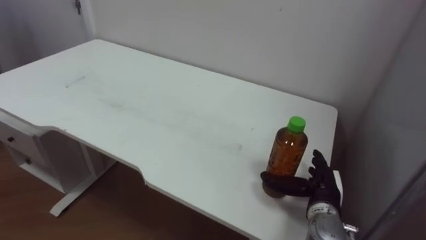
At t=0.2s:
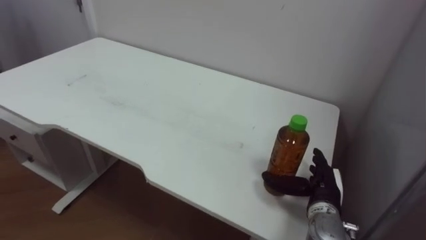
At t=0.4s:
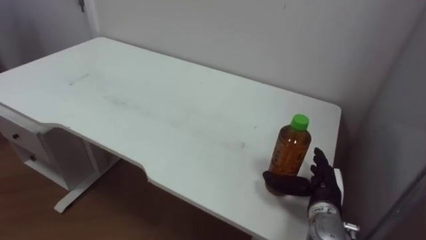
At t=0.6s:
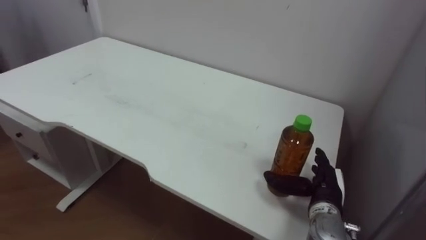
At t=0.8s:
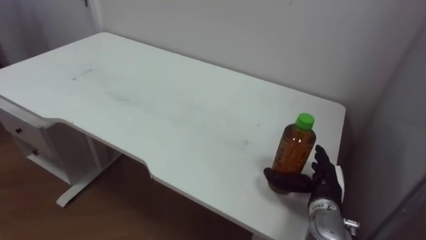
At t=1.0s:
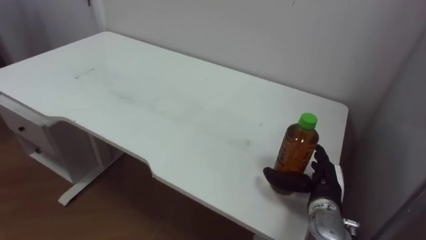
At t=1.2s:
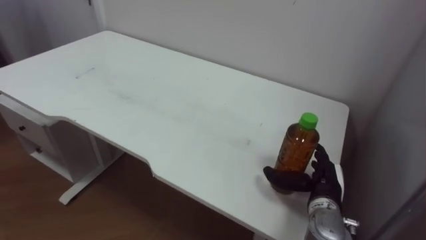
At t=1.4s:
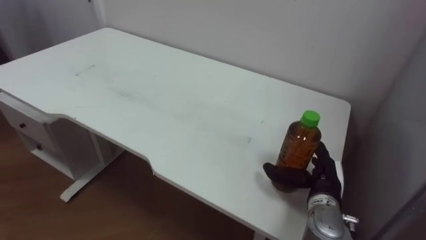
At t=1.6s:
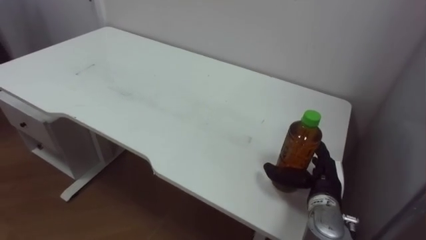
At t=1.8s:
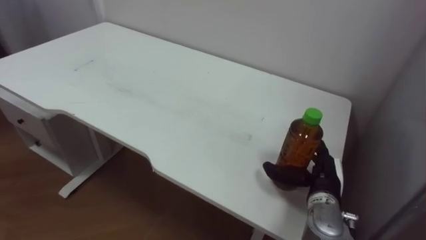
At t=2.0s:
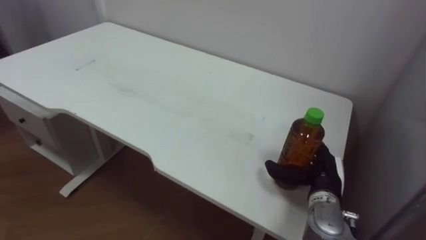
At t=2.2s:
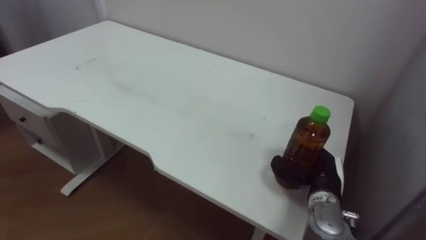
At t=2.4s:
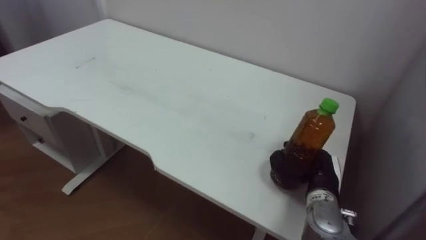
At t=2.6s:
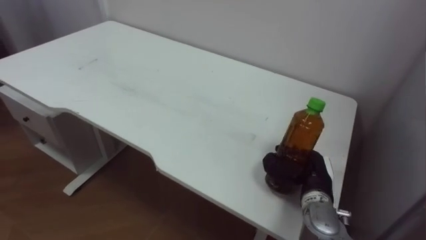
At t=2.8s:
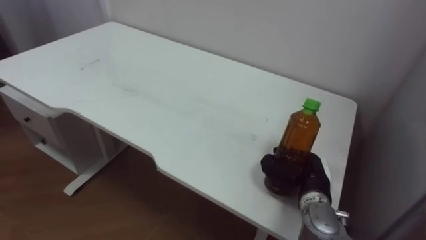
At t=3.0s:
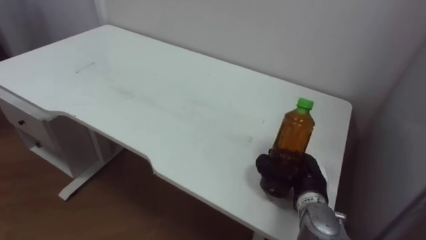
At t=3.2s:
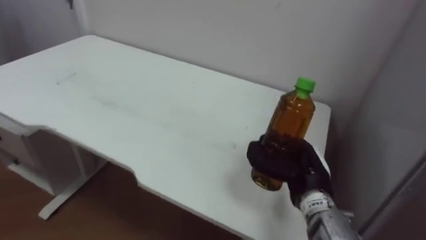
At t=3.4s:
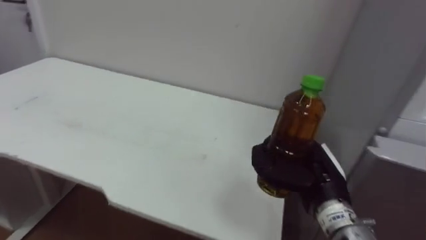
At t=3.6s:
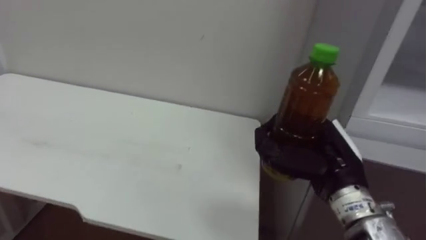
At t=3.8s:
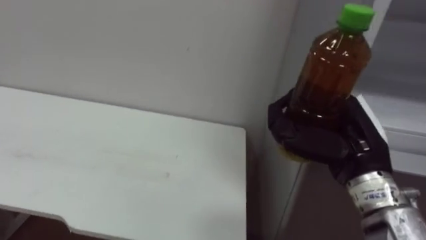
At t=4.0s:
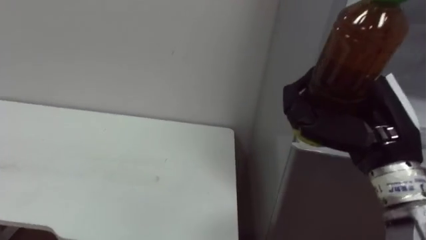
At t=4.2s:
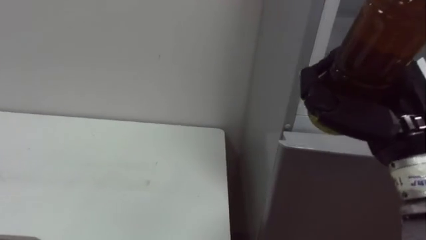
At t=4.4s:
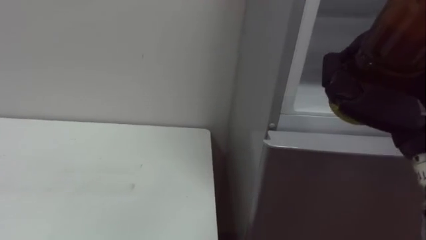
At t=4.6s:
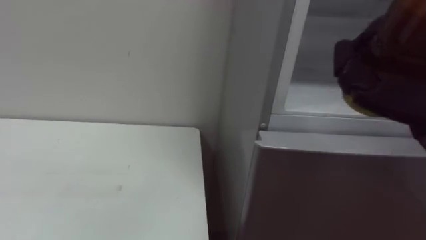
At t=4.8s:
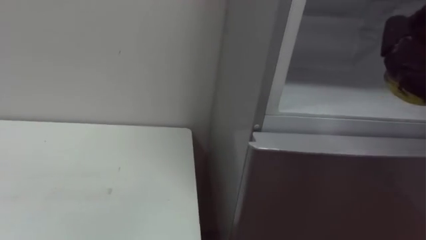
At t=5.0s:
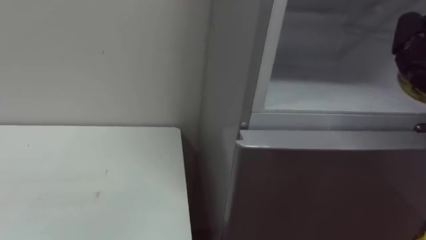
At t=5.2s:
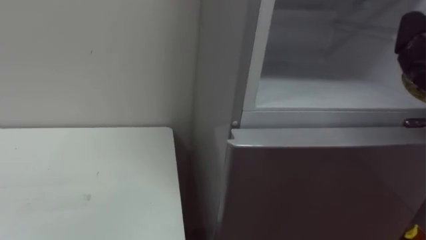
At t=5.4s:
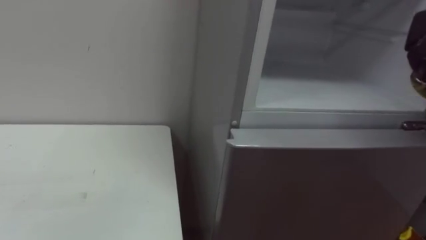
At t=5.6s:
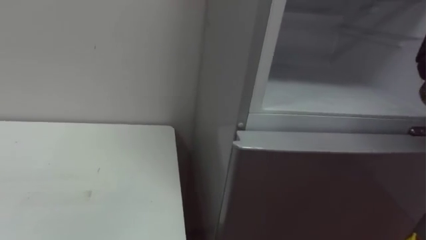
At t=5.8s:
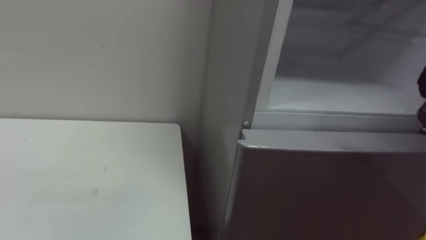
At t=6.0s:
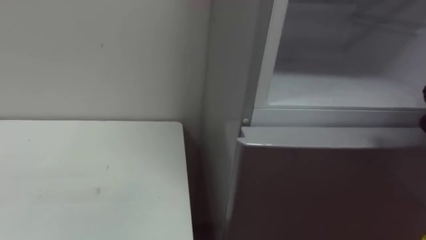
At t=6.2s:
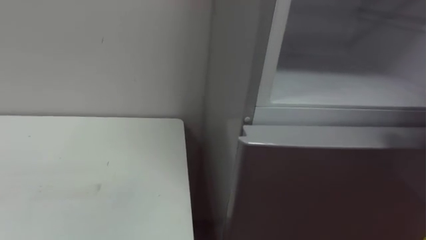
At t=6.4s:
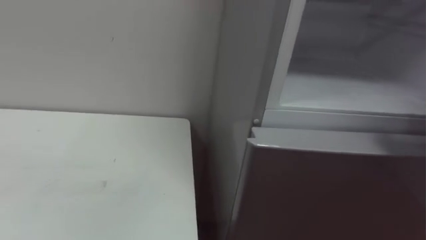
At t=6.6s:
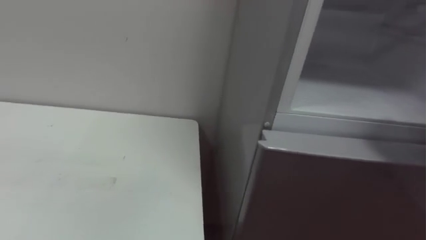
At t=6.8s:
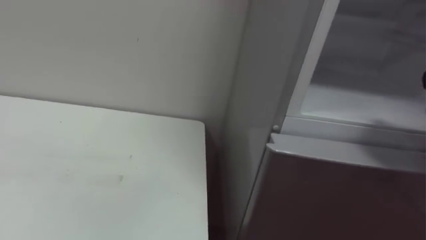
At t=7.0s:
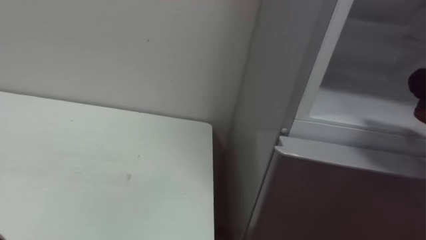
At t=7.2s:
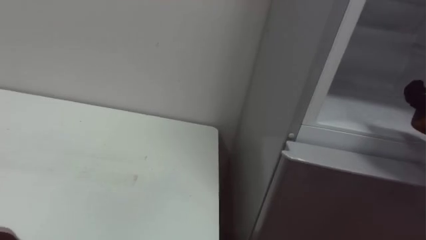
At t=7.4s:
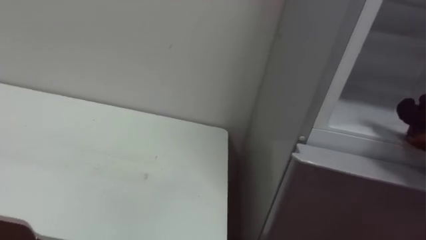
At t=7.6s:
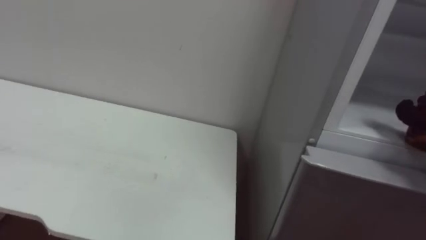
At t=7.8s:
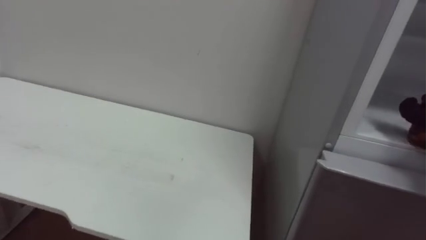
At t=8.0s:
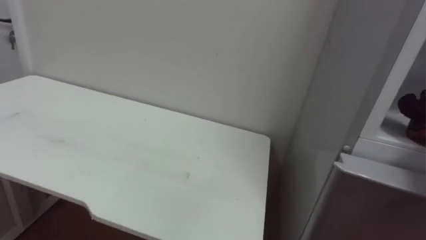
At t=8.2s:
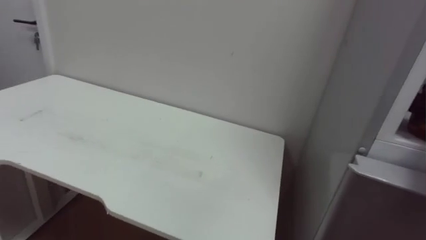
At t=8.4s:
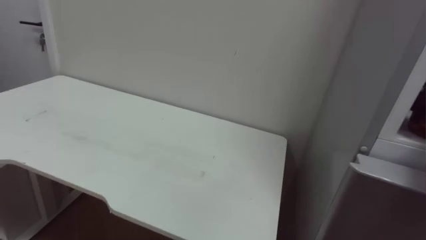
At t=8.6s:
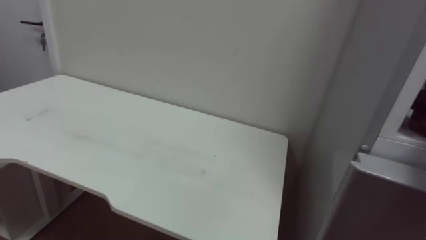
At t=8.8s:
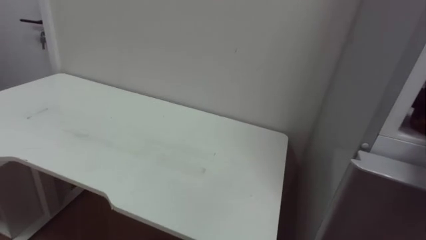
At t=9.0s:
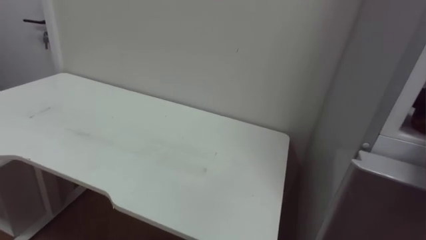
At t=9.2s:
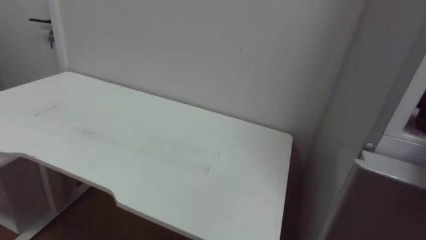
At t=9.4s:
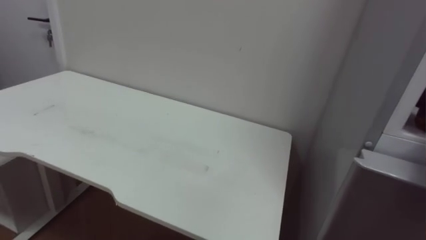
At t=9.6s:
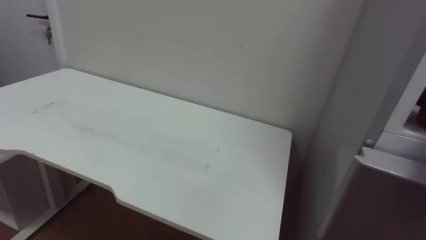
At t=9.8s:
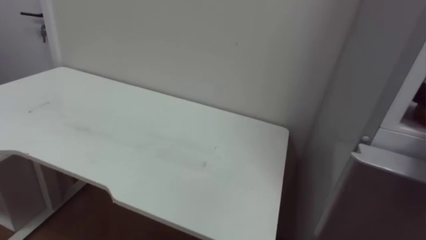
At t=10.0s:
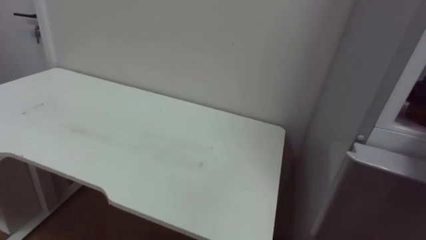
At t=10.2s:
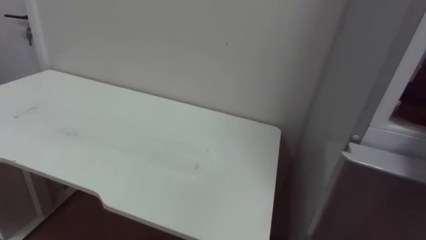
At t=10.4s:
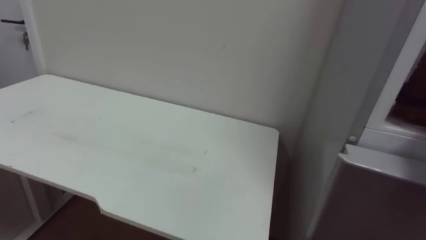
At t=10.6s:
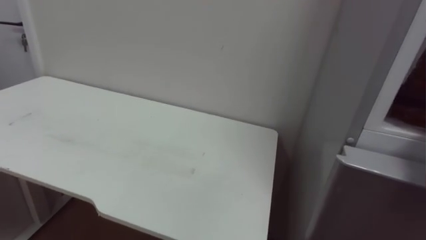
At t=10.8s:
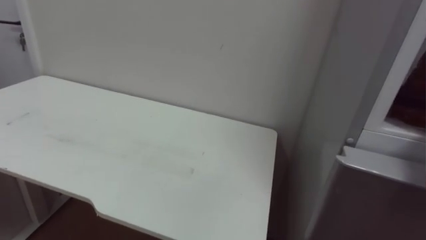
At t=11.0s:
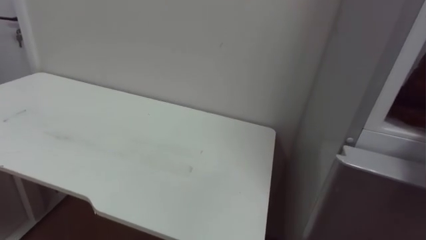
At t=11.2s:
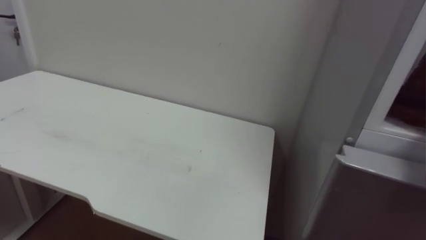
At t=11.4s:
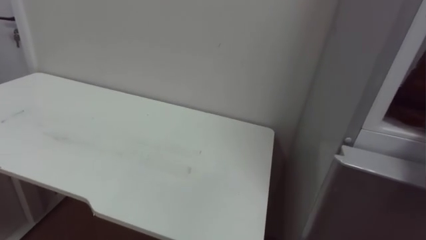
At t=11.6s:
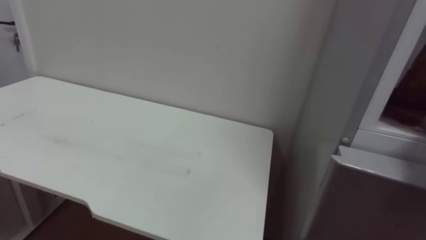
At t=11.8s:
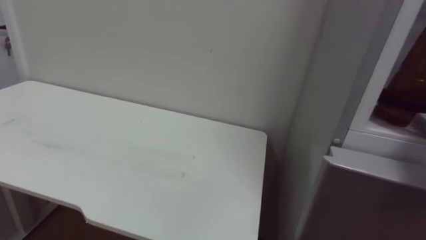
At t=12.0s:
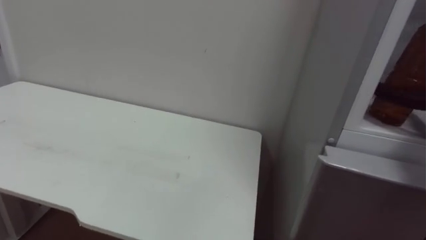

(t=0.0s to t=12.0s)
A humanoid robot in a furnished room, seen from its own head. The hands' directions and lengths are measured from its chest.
Task of the whole recording: Open the upper refrigerator door, put the drink from the table into the refrigerator, and then close the refrigerator door.
t=1.6s - t=3.0s: The right hand closes its fingers.
t=3.0s - t=4.4s: The right hand travels upward and backward by about 25 cm.

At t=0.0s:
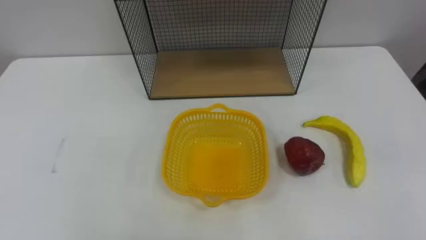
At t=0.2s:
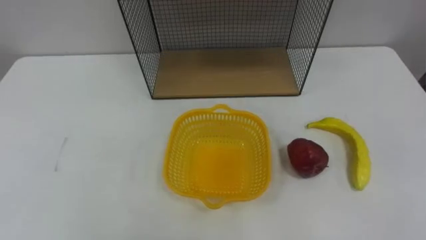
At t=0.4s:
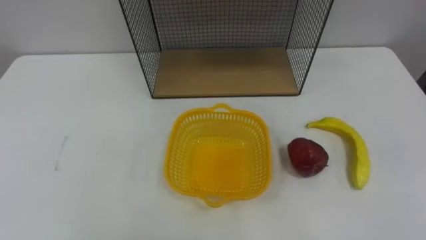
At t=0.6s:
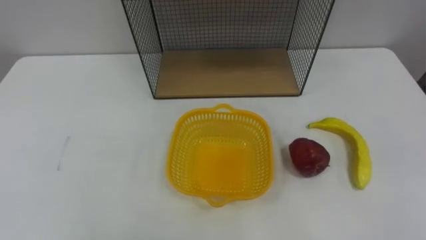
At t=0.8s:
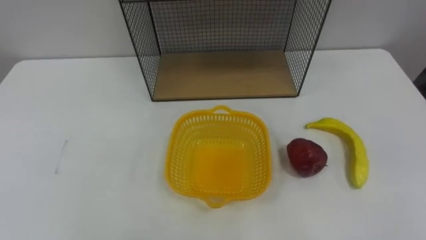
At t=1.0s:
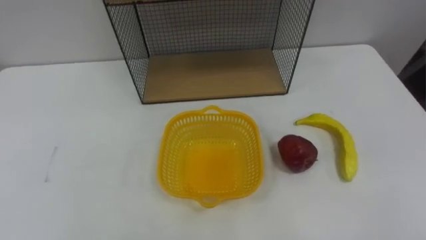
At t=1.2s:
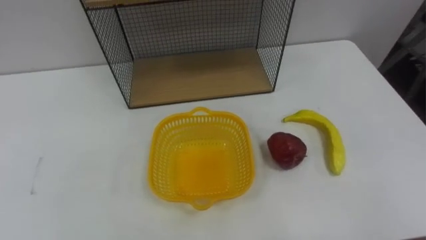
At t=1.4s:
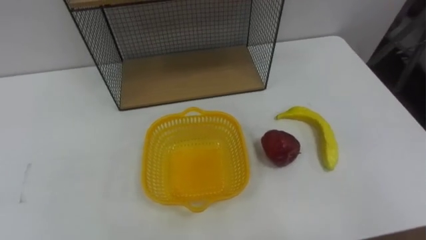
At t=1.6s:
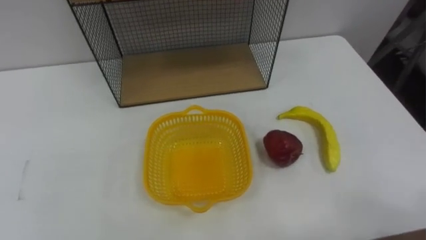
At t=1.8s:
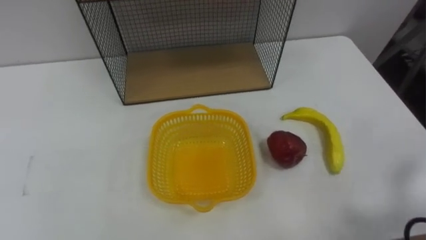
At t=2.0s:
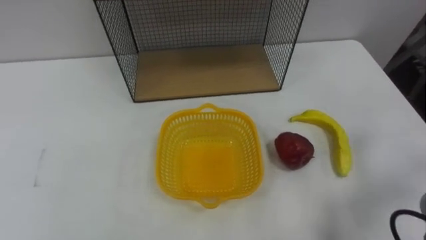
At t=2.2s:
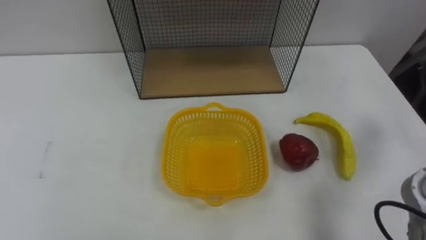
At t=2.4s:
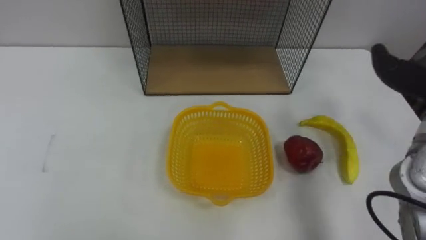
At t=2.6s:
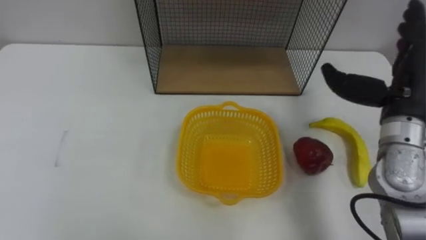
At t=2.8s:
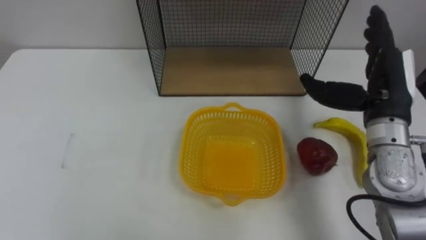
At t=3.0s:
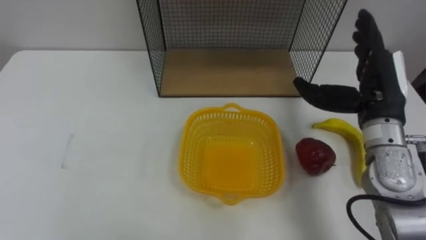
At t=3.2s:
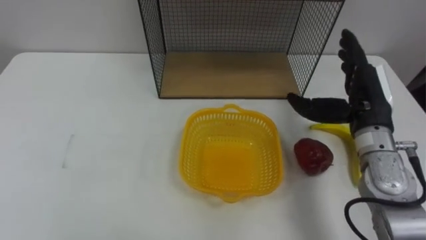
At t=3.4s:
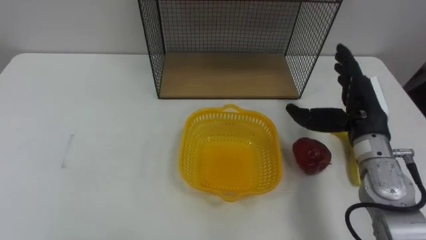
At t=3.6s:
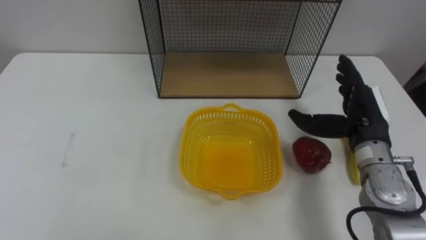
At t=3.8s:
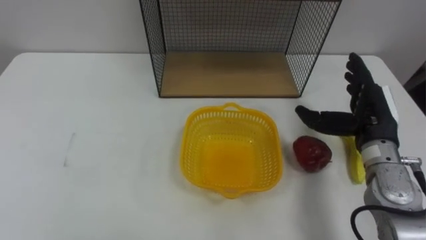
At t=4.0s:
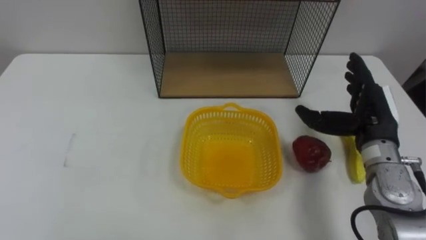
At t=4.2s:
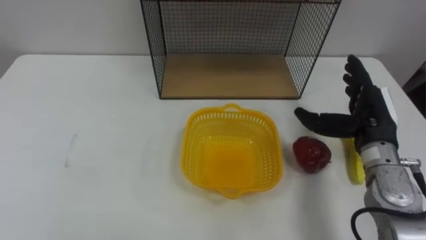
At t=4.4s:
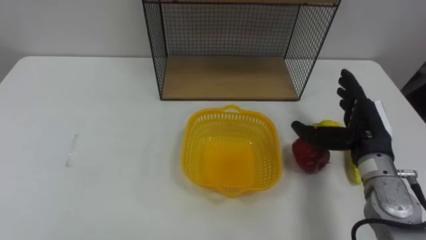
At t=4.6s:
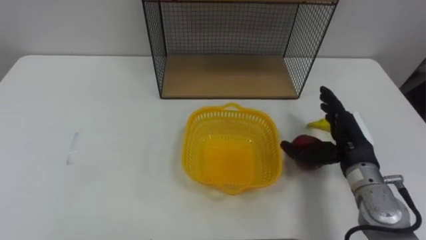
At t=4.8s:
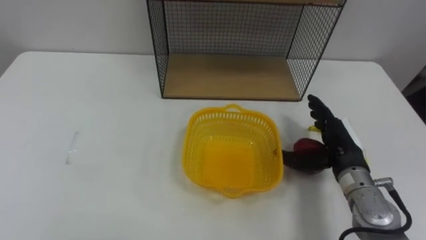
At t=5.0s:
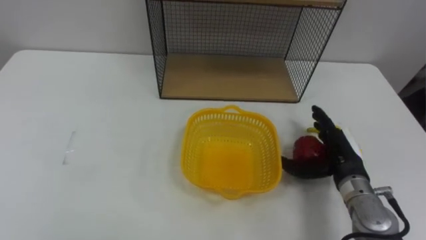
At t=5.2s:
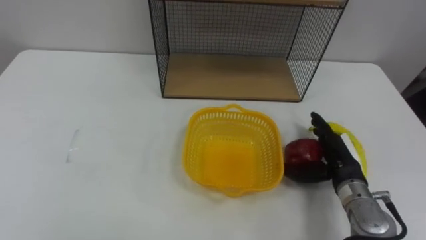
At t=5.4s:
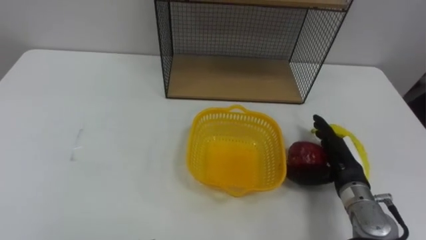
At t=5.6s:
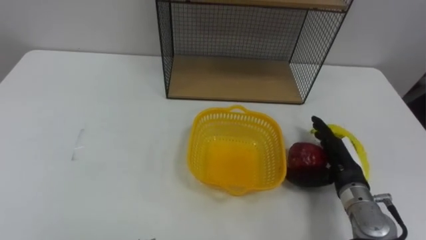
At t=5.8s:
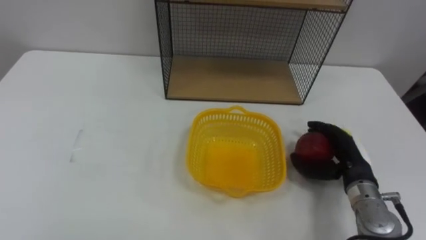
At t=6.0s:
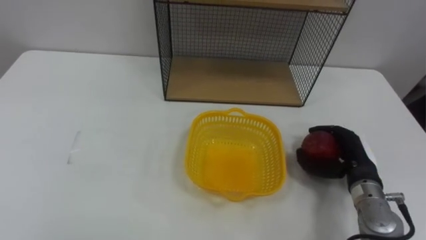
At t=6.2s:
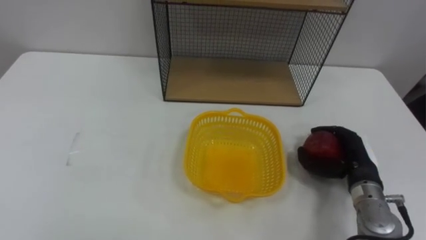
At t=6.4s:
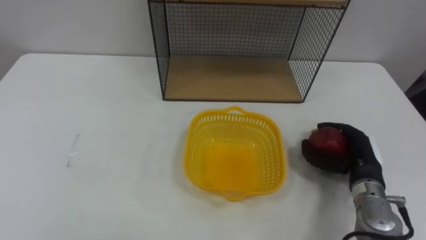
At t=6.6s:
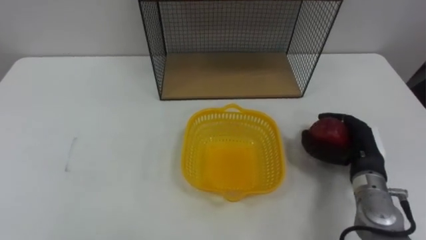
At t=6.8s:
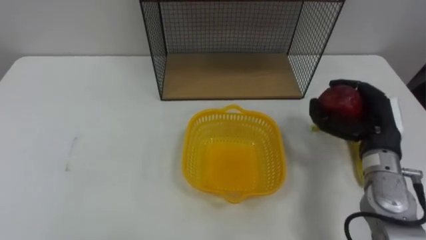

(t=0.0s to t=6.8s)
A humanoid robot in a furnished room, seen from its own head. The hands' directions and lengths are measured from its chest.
Task of the whole recording: Put the fruit on the table into the basket, then place the basket on the shelf.
t=2.8s - t=4.0s: The right hand heads downward, covering about 5 cm.
t=4.0s - t=5.4s: The right hand moves downward, about 10 cm.
t=5.4s - t=6.8s: The right hand goes approximately 10 cm upward, and closes.
